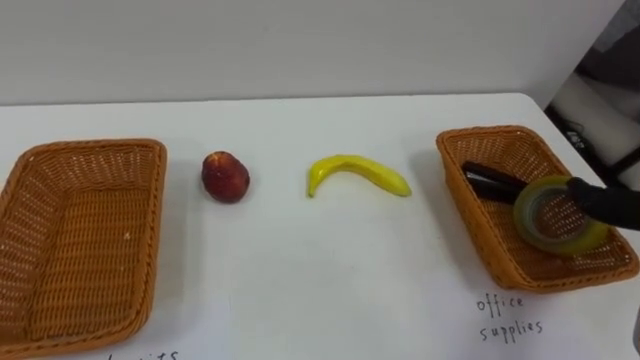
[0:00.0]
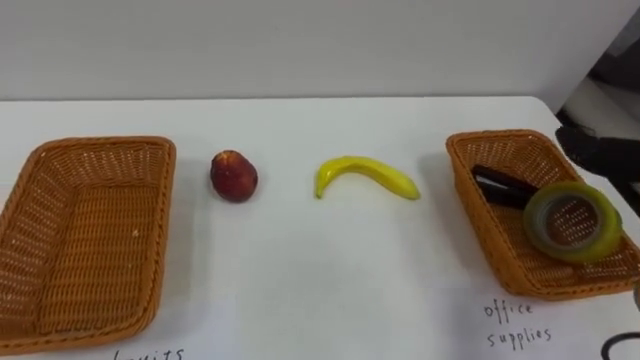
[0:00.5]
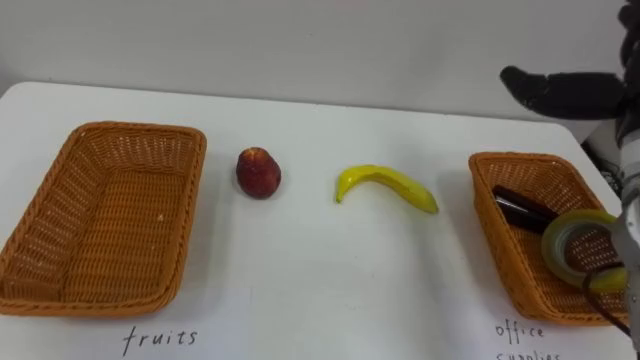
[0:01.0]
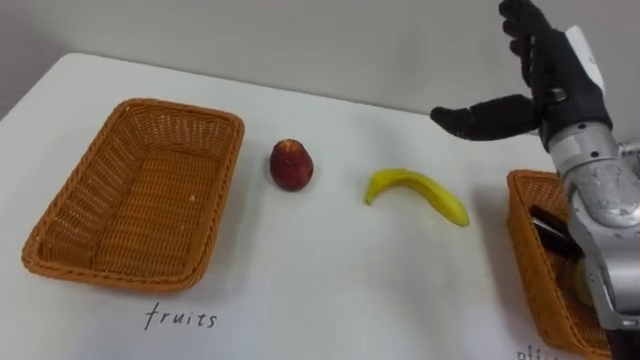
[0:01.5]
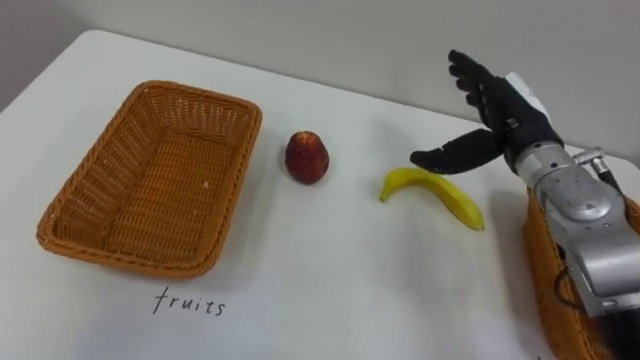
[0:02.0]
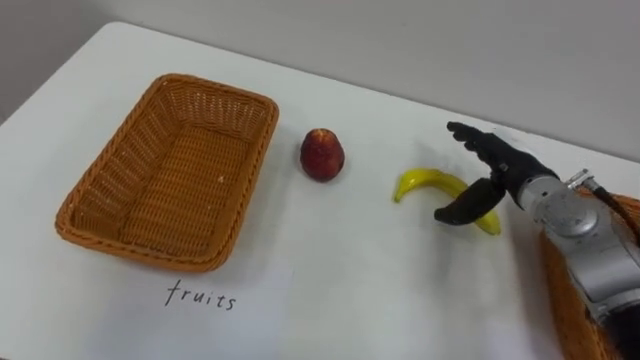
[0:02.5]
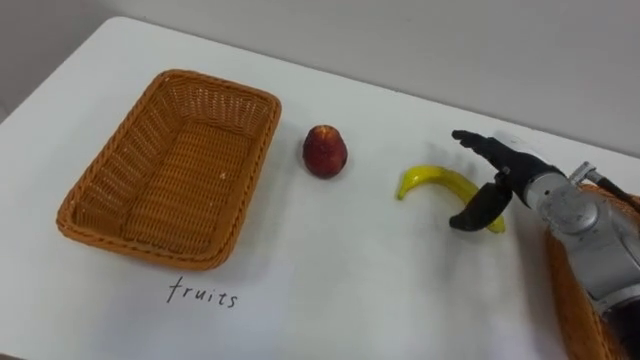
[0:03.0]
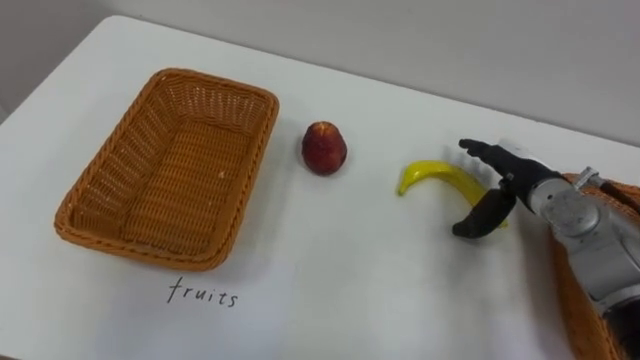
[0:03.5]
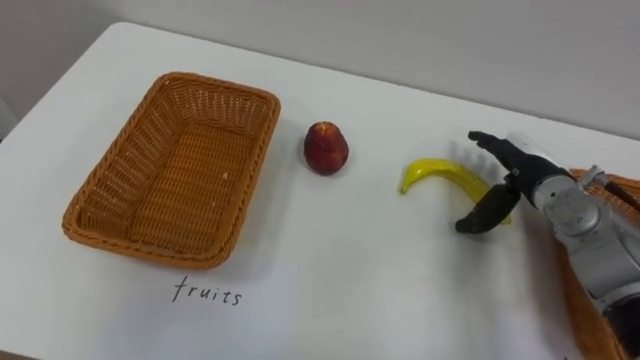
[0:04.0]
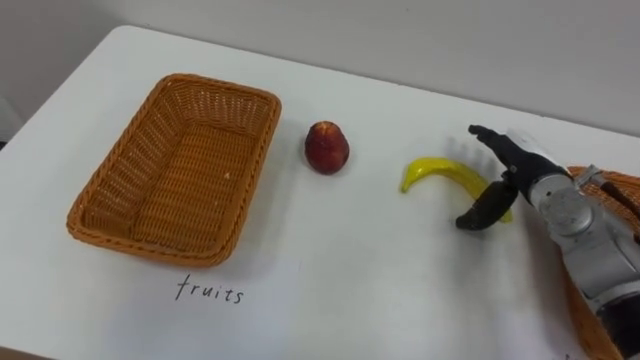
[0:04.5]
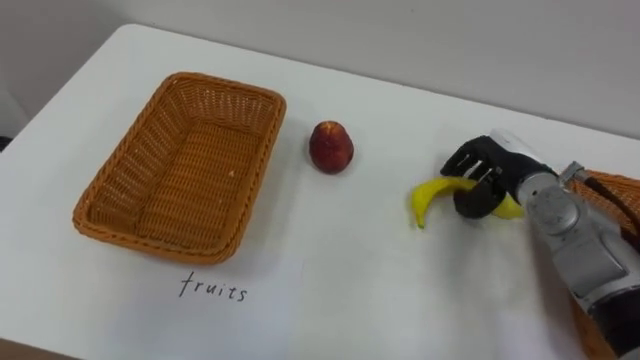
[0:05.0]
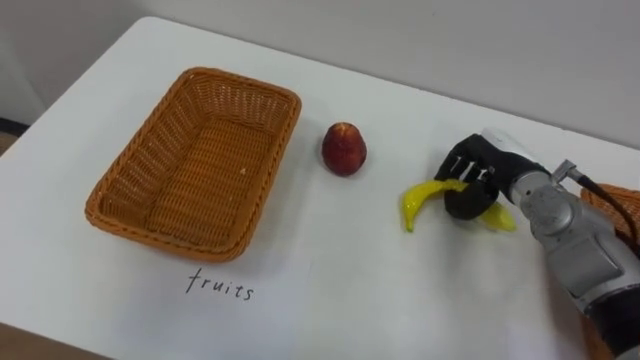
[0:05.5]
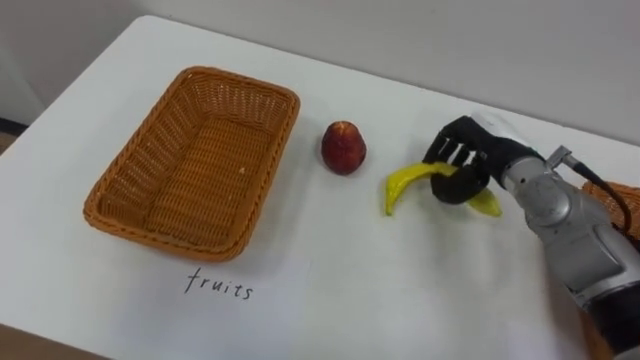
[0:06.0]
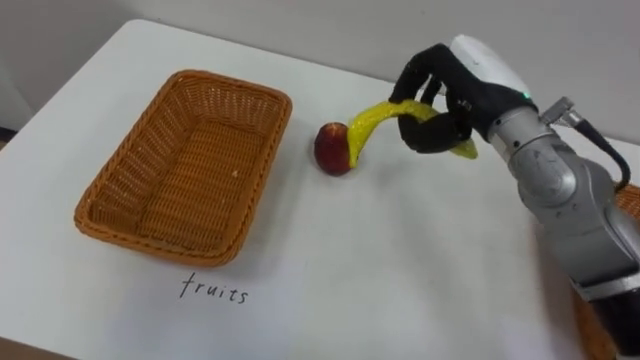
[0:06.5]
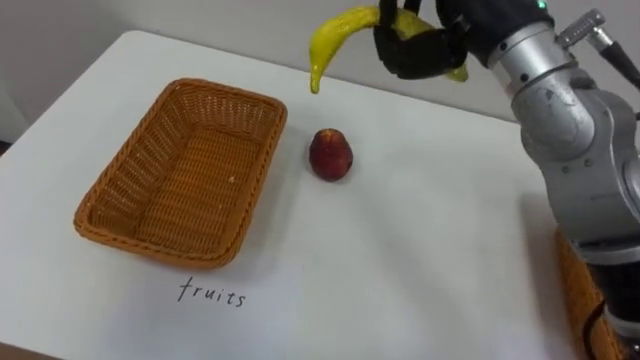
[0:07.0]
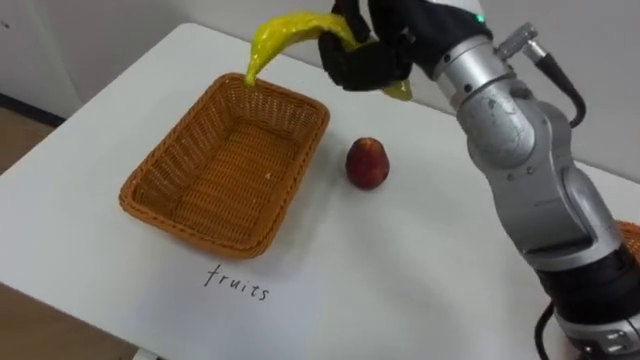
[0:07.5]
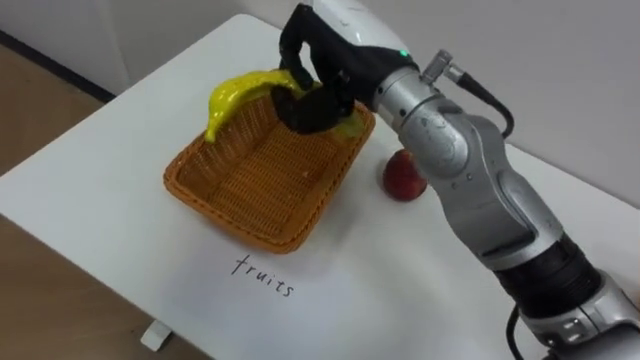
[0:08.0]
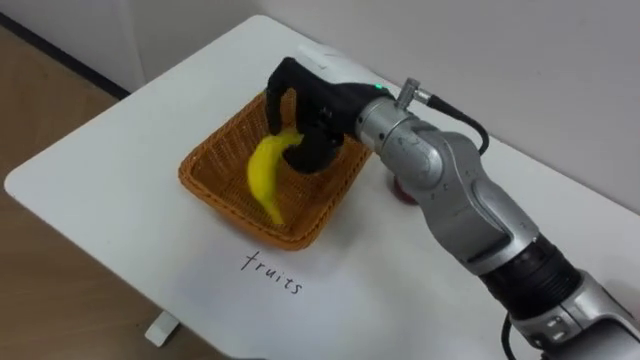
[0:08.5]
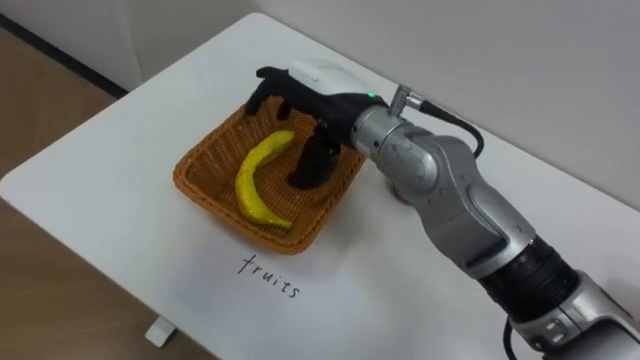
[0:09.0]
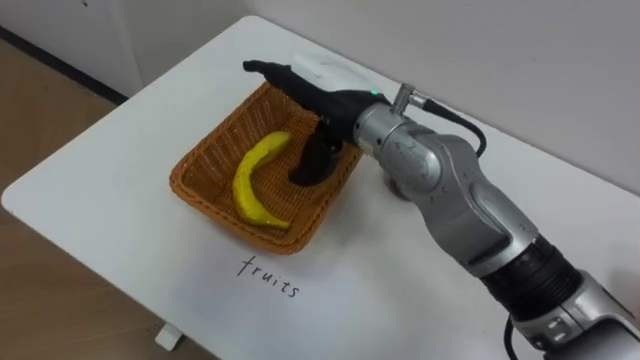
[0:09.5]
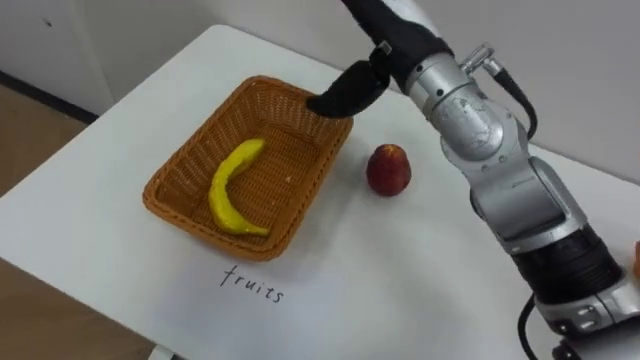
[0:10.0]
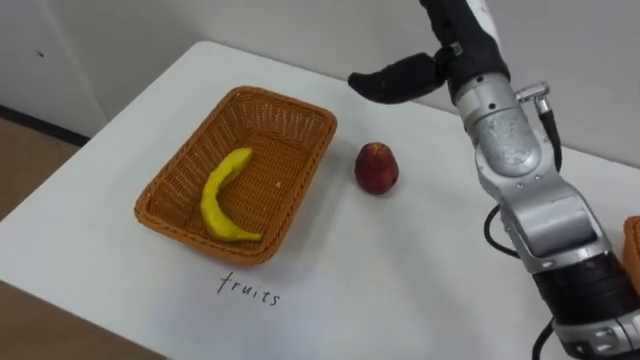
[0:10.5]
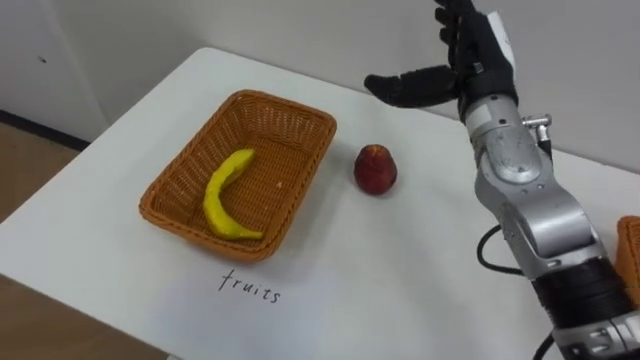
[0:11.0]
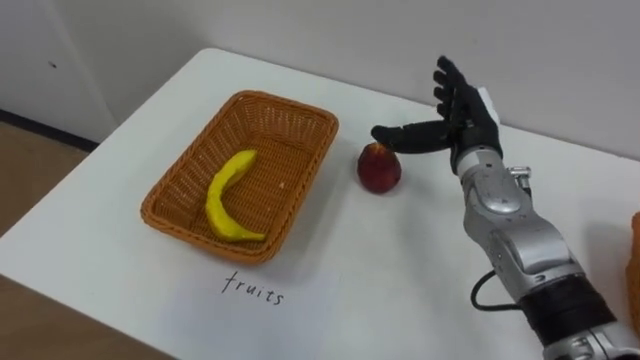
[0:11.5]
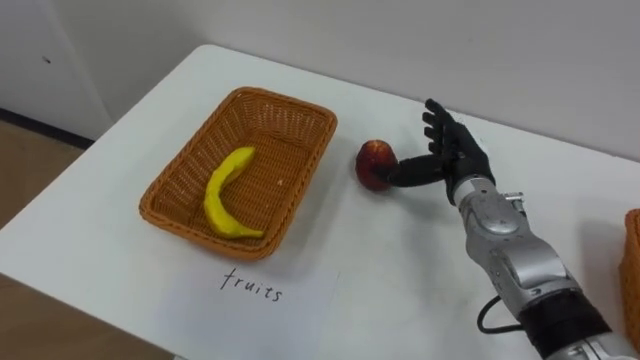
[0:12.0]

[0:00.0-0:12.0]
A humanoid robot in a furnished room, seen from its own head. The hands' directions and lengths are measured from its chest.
Task of the whole recording: Separate the items on the table and place them into the two baskets.
0:02.0 to 0:04.0: The right hand moves downward, about 10 cm.
0:04.0 to 0:06.0: The right hand moves about 5 cm, and closes up.
0:06.0 to 0:08.0: The right hand moves to the left and upward, some 25 cm.
0:08.0 to 0:10.0: The right hand opens its fingers.
0:10.0 to 0:12.0: The right hand shifts some 20 cm downward and to the right.

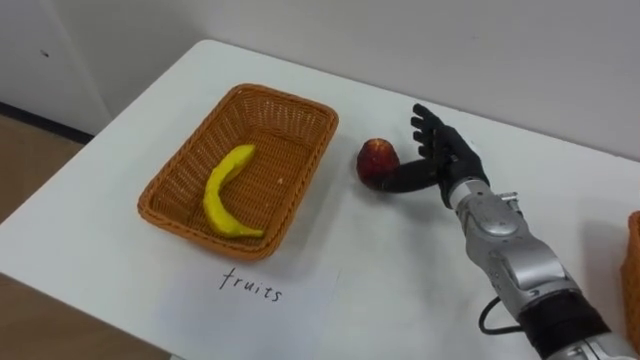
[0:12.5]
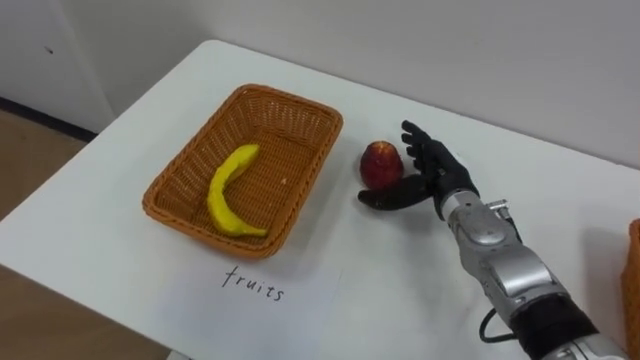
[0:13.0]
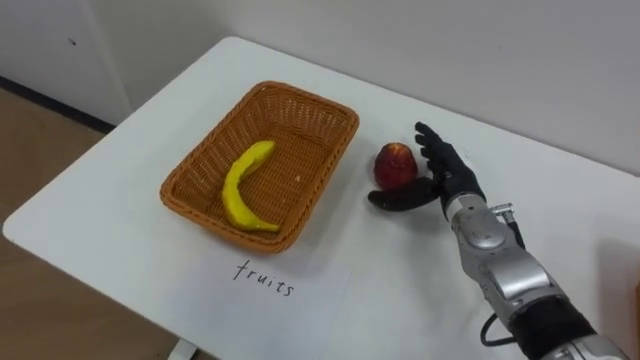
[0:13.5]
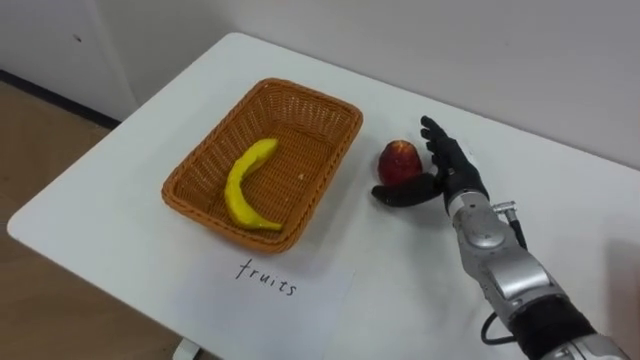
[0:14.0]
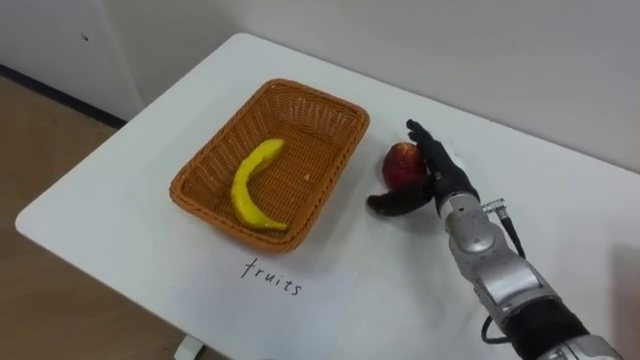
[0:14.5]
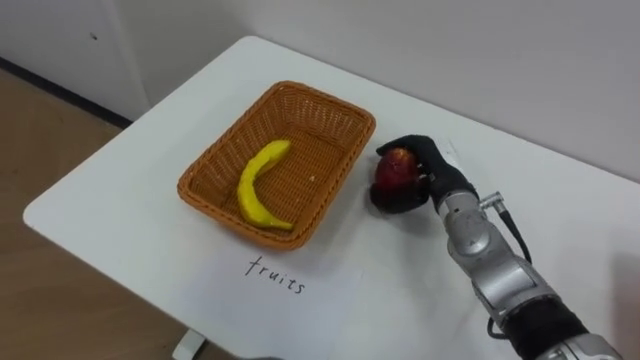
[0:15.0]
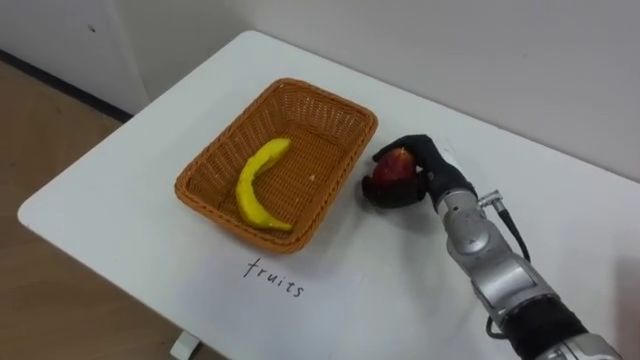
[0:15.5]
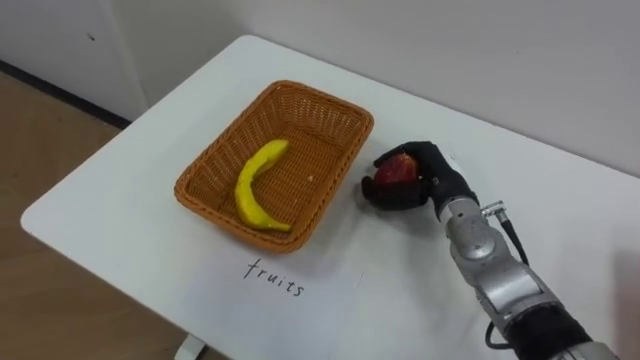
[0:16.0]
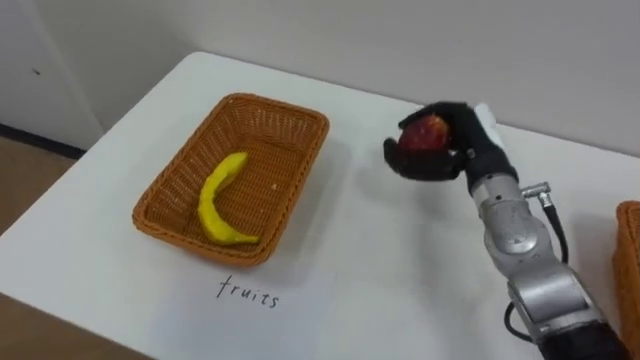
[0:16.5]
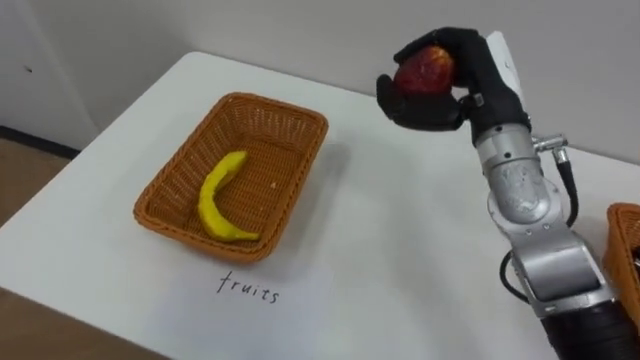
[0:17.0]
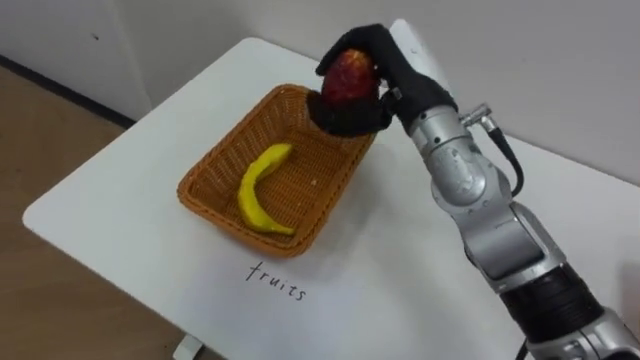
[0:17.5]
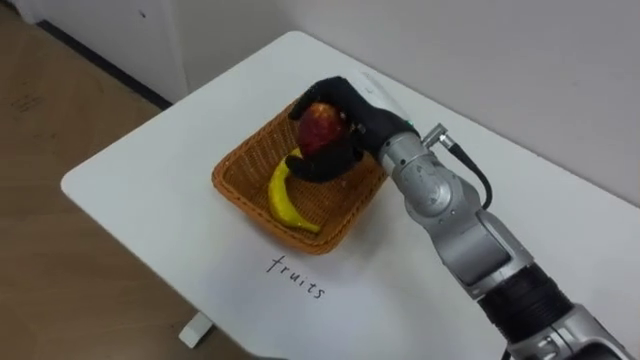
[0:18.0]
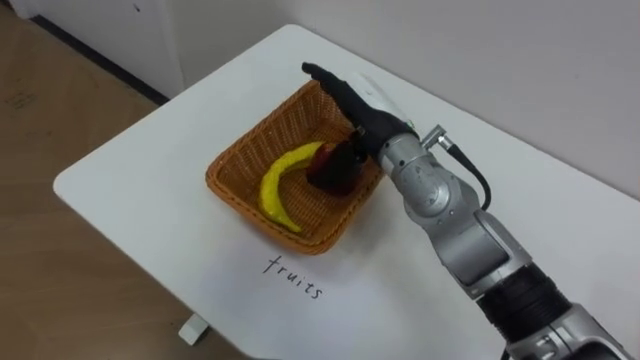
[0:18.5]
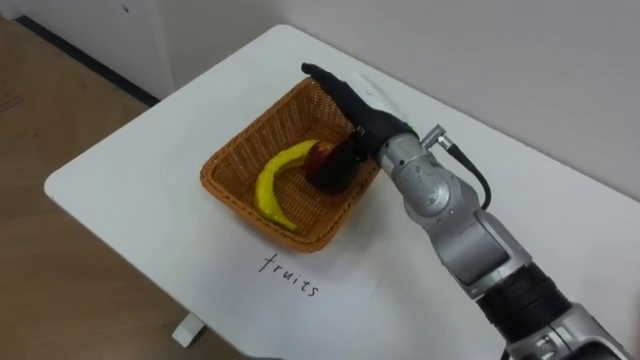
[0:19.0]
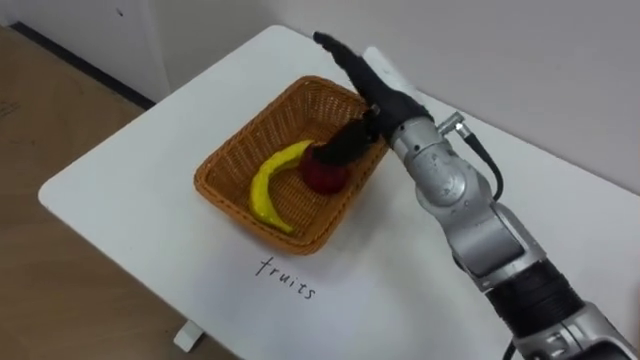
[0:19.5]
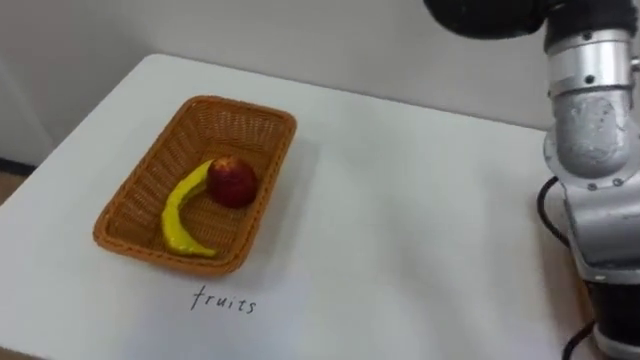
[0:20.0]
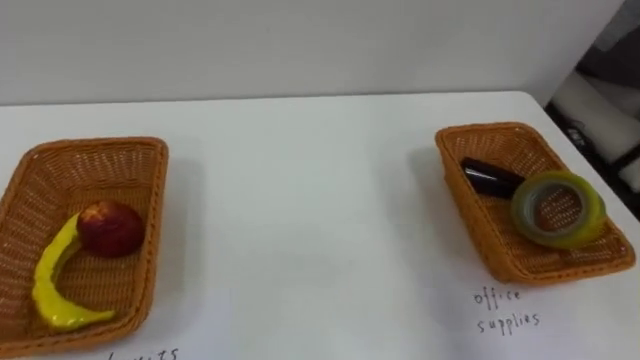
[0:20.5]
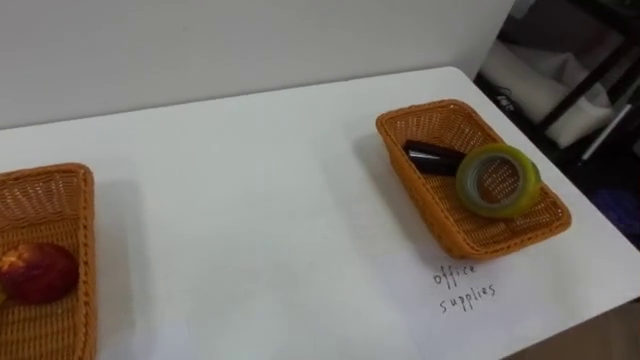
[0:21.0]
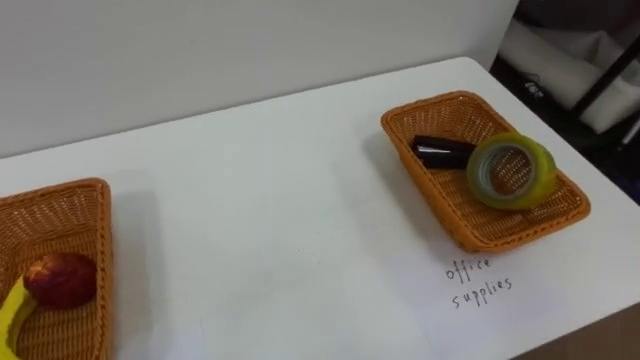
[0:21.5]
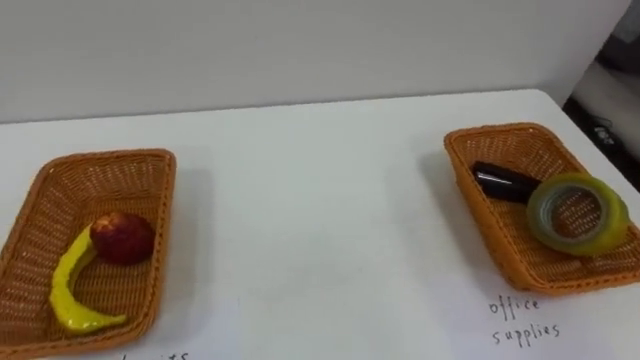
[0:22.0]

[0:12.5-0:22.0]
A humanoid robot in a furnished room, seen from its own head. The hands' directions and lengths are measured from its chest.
Task of the whole recording: Separate the items on the table and place them into the two baskets.
0:14.5 to 0:16.5: The right hand shifts roughly 5 cm upward, and closes.
0:16.5 to 0:18.0: The right hand travels to the left and upward by about 15 cm.
